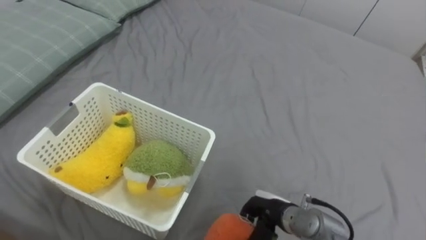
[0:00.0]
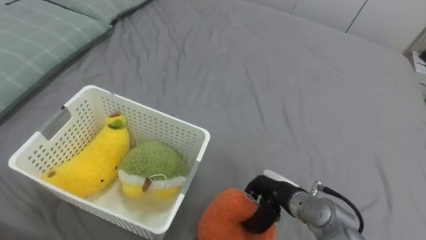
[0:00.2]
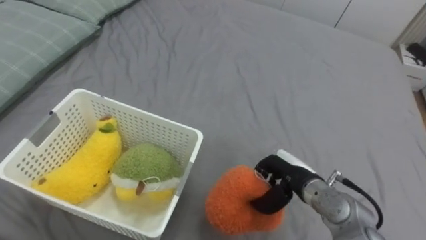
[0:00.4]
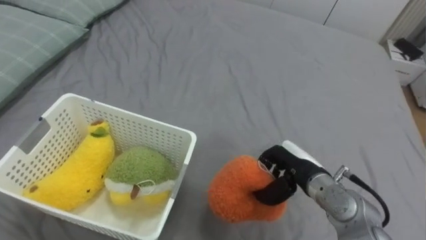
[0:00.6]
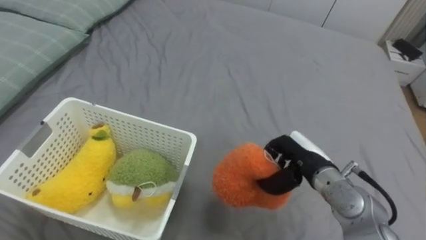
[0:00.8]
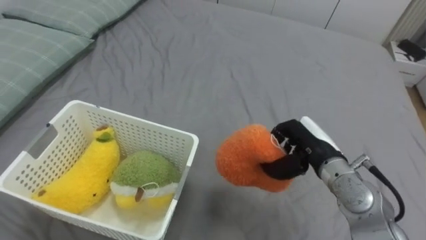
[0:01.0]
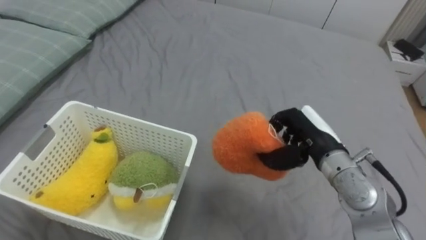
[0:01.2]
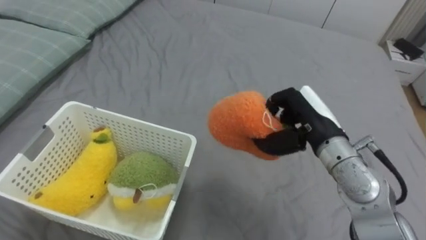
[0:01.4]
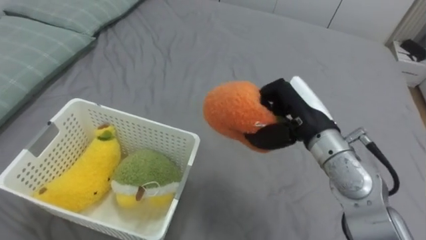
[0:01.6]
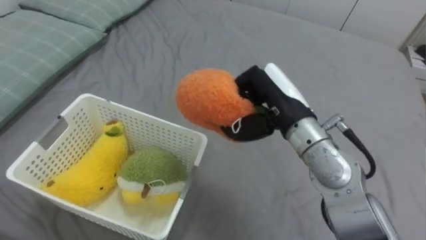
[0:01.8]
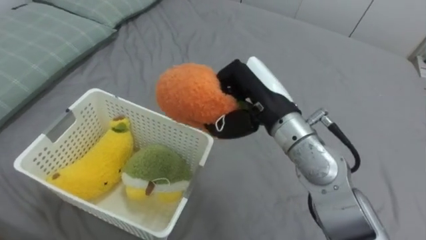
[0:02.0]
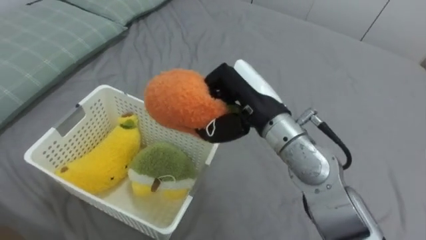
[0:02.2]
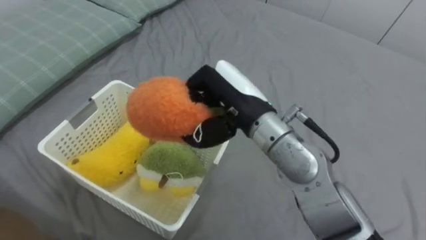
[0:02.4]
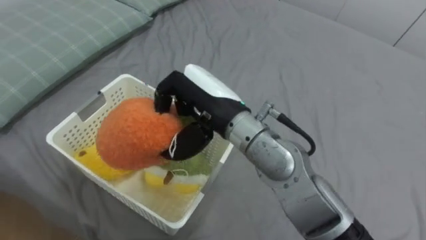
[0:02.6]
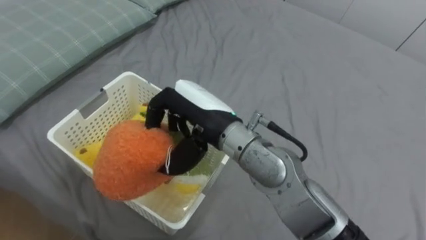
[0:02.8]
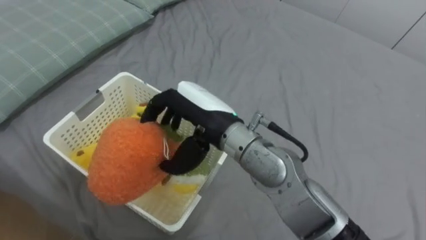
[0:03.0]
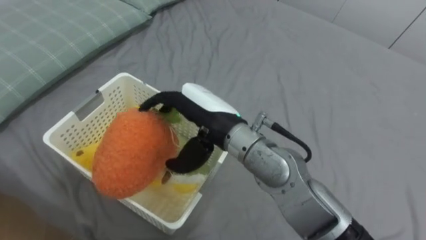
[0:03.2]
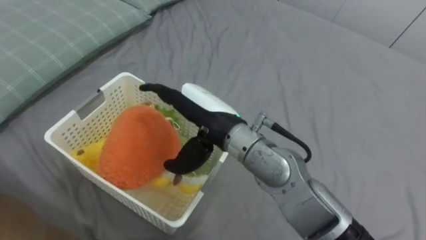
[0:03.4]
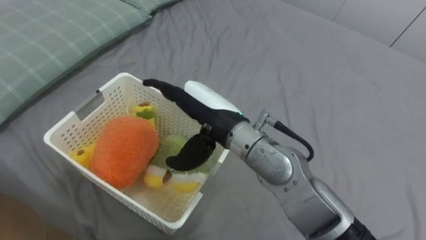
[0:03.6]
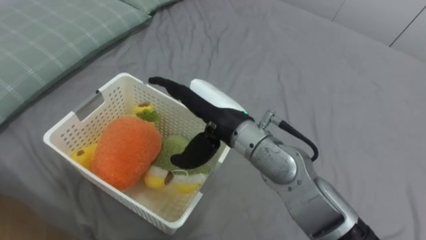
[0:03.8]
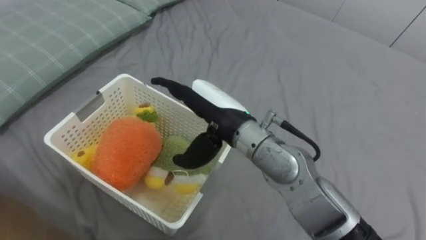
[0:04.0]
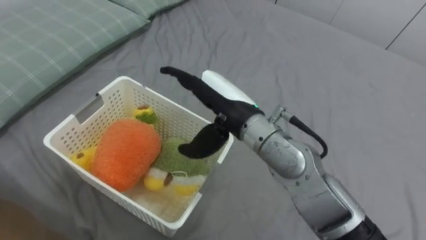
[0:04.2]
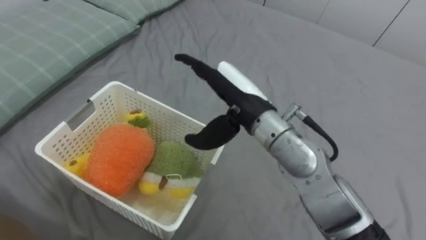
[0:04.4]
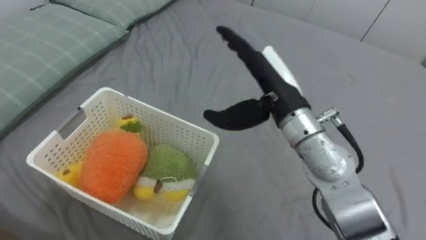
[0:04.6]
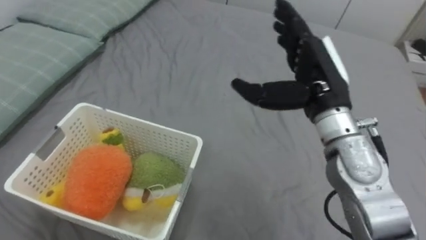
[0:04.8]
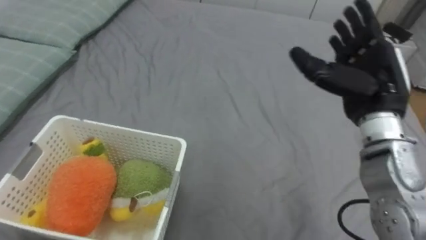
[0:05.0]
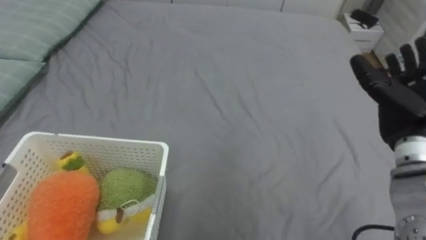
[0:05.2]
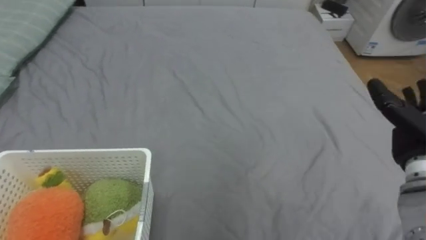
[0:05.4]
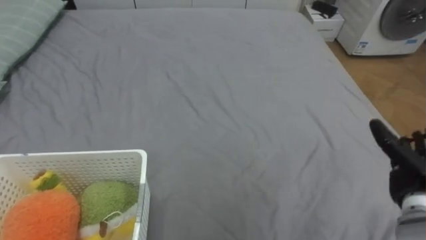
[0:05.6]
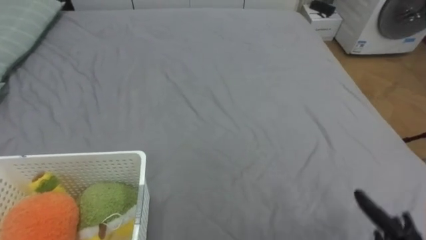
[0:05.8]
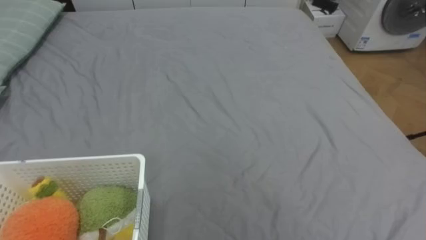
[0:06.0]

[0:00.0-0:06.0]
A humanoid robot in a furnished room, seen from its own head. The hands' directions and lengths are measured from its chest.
Task of the whole recording: Put the toys on the bed into the basket on the left.
0:00.0 to 0:01.6: The right hand heads upward and forward, covering approximately 25 cm.
0:01.6 to 0:03.0: The right hand travels to the left by about 15 cm, and opens.
0:03.0 to 0:04.4: The right hand moves to the right, some 5 cm, and opens its fingers.

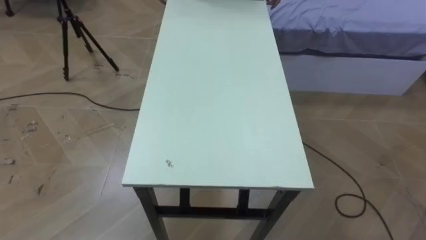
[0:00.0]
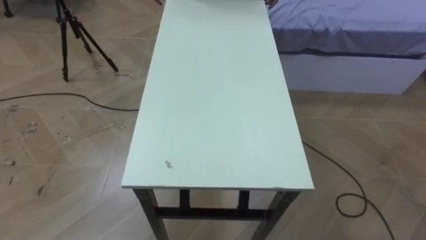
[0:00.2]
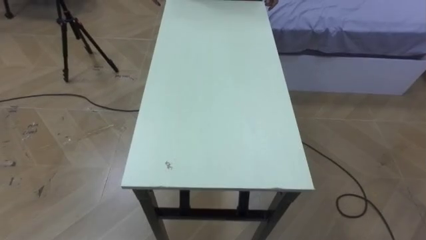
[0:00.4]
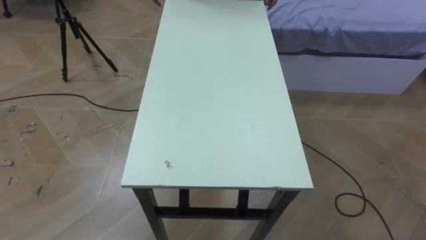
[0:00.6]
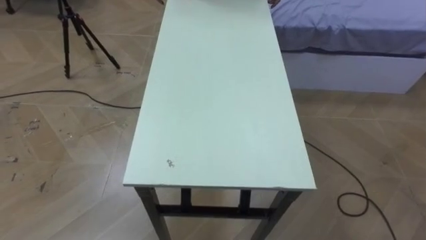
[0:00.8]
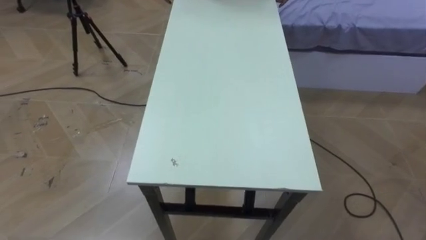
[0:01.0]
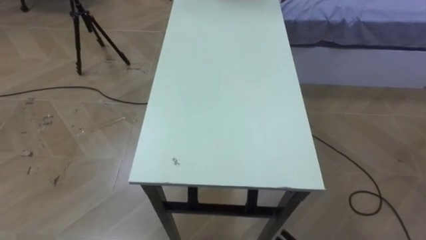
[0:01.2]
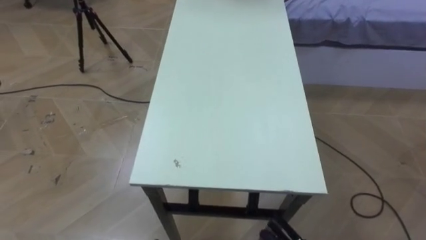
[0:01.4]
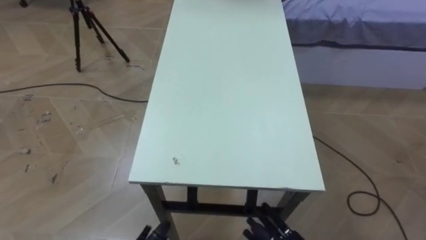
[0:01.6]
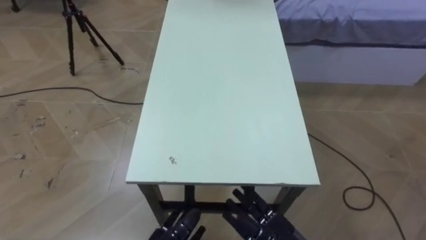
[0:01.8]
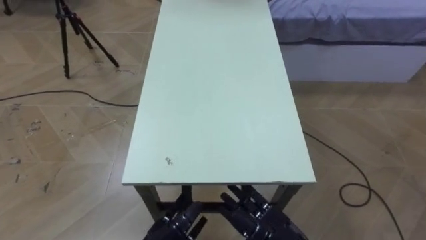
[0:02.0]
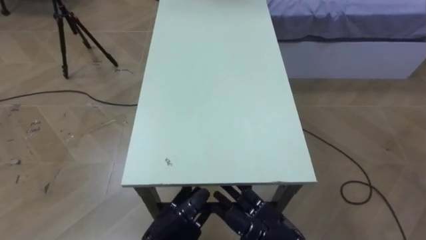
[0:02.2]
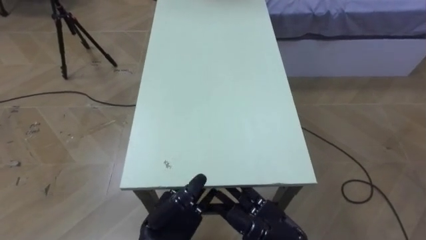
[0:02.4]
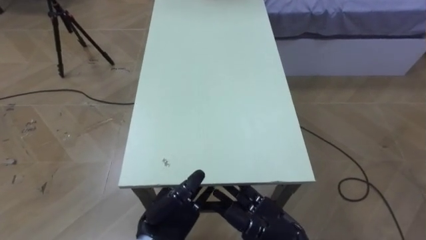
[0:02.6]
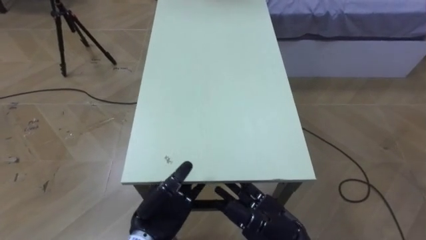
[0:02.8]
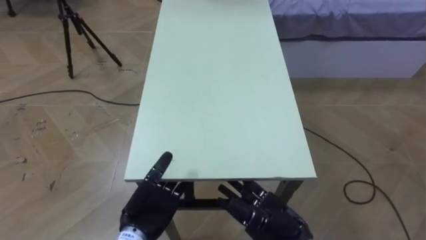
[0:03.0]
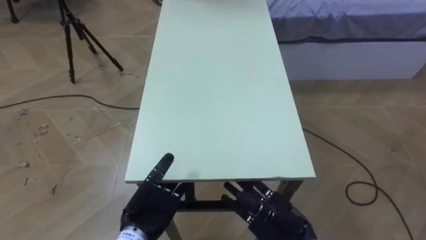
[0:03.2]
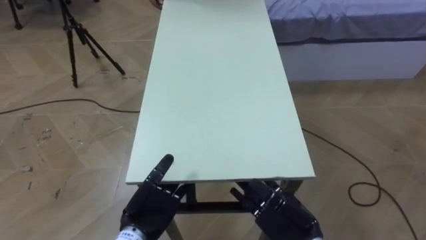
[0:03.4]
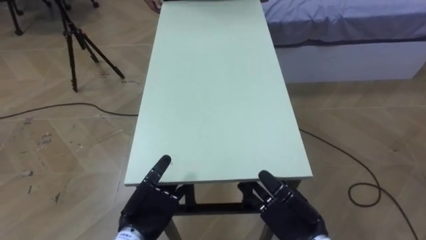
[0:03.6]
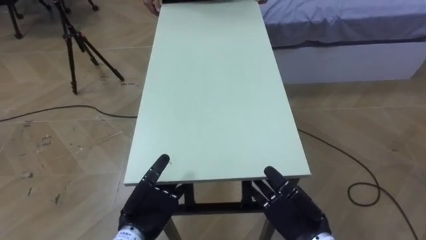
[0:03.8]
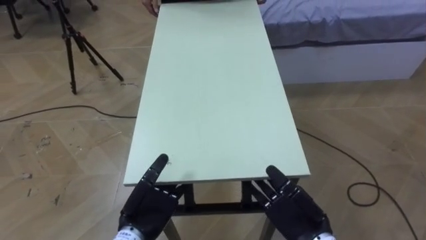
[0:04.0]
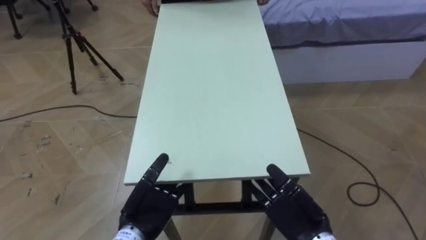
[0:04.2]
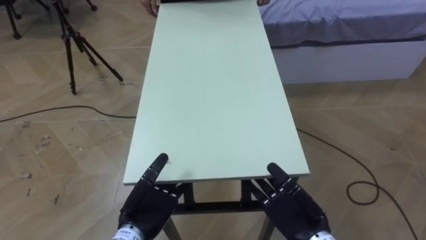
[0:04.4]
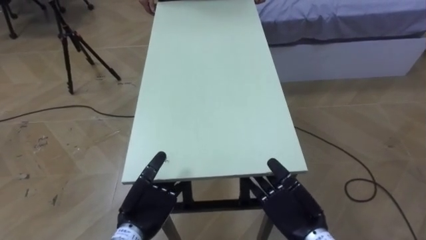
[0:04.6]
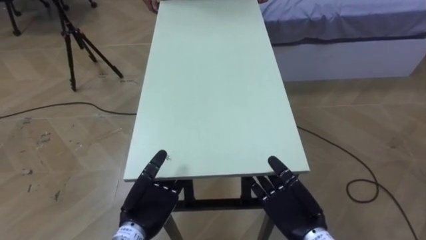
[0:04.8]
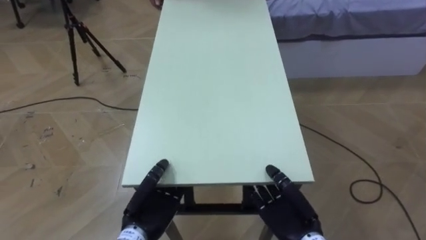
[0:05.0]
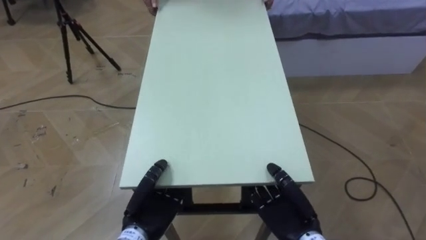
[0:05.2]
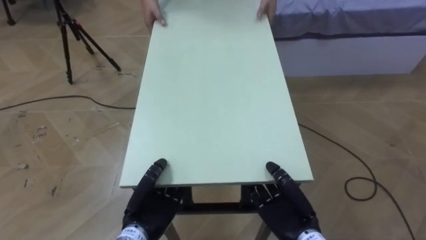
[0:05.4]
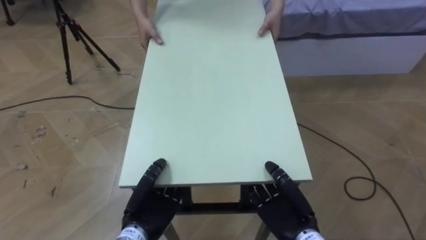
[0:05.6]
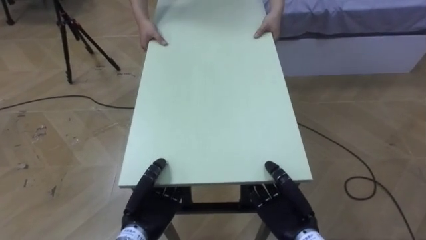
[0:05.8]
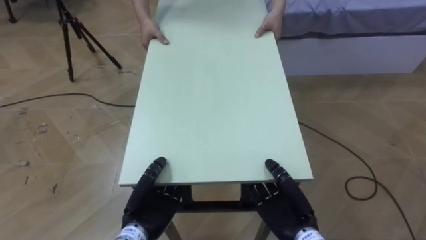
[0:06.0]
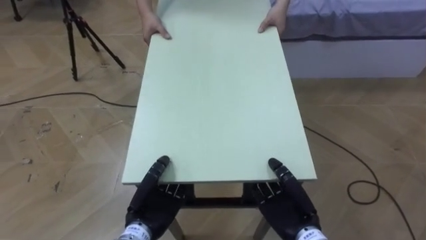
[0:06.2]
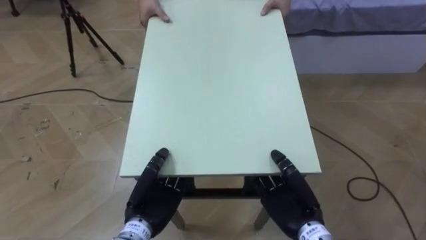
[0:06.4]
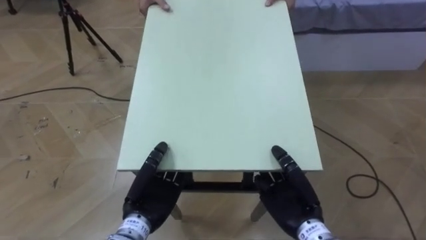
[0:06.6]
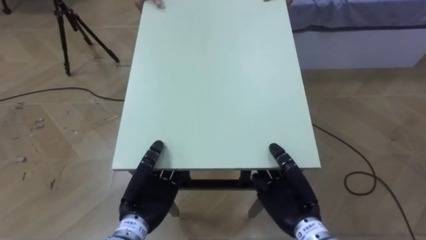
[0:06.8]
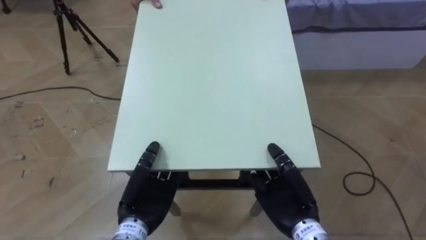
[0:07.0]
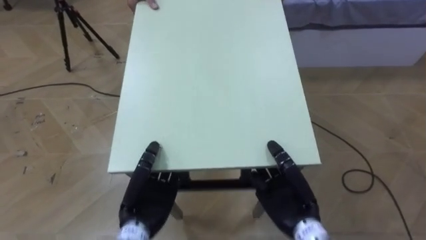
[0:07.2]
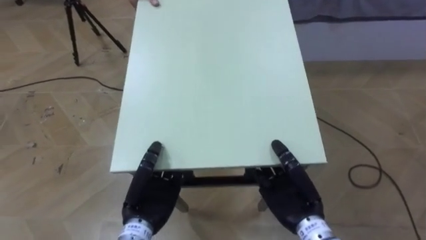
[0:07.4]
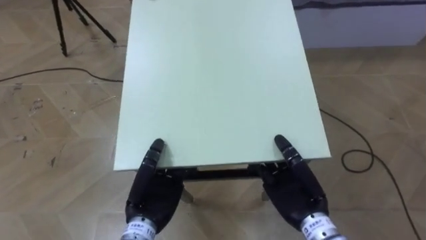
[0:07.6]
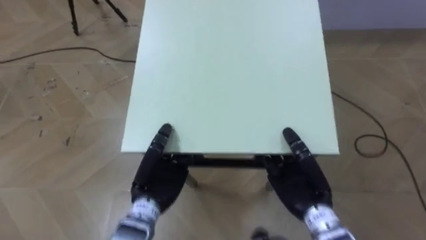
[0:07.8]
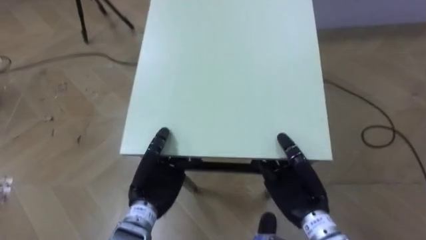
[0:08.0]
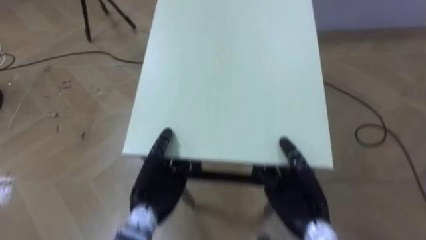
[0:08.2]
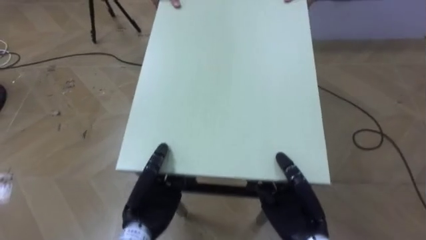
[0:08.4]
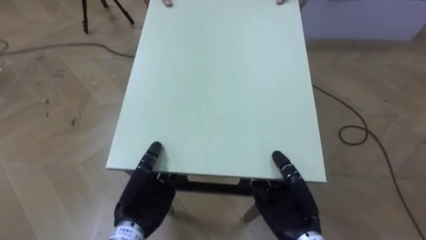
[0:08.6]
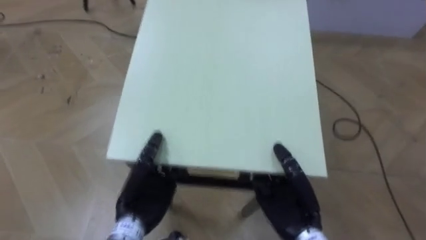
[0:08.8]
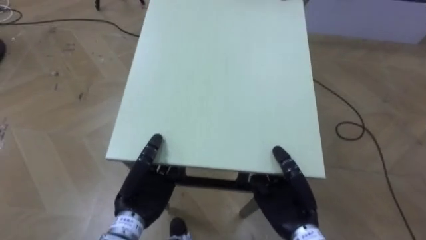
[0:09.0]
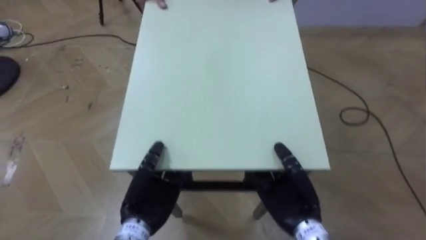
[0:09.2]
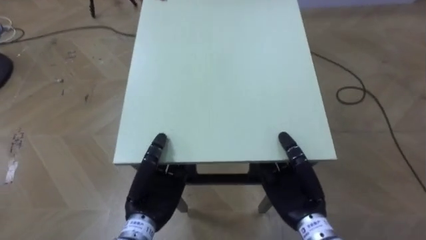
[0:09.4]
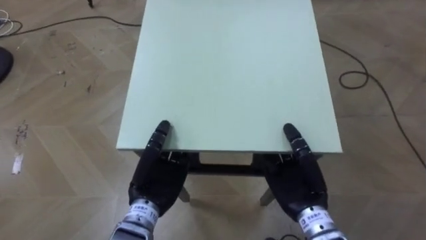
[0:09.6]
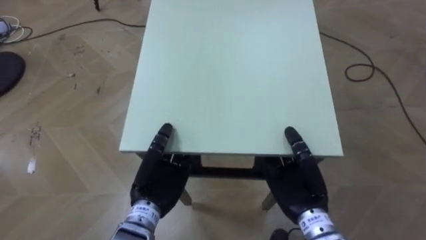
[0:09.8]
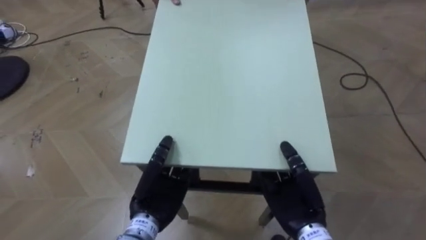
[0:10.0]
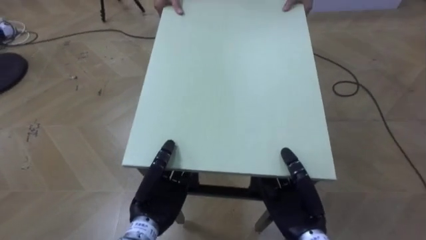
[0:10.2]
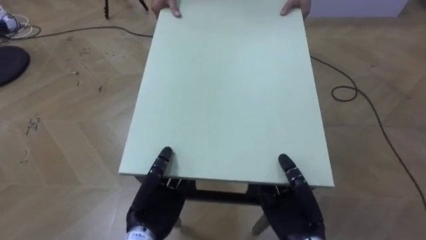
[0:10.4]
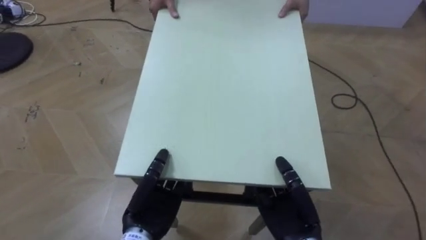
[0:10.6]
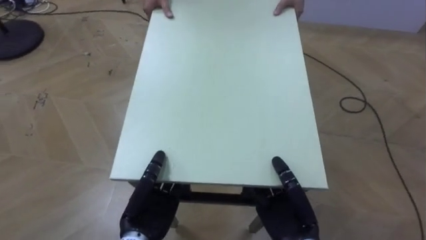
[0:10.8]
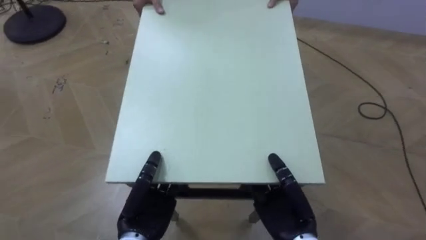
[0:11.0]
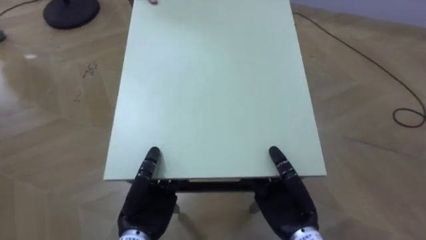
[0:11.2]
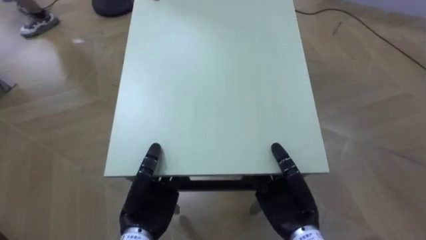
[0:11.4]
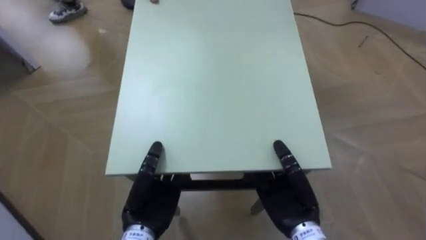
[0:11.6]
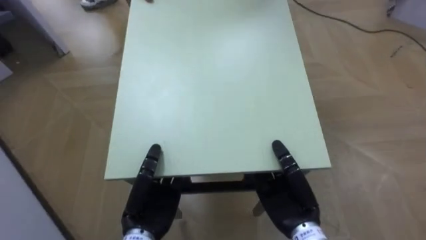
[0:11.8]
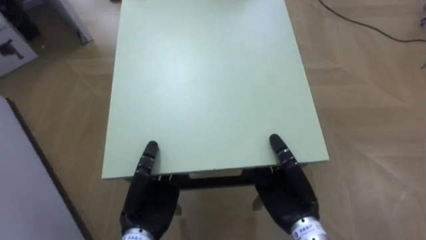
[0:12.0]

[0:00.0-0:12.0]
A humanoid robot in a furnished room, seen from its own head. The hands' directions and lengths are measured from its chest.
Task of the whole recording: Move the table to the back left with someone.
0:04.4 to 0:06.0: The left hand closes its fingers, while the right hand closes.
0:06.0 to 0:07.6: The right hand travels upward by approximately 5 cm, while the left hand changes place by roughly 5 cm.
0:10.4 to 0:12.0: The robot faces about 40 degrees further to its left.
